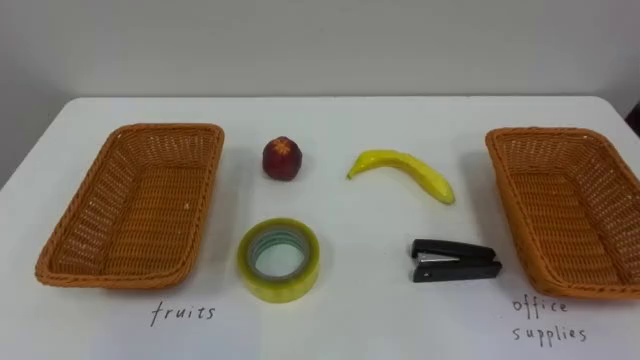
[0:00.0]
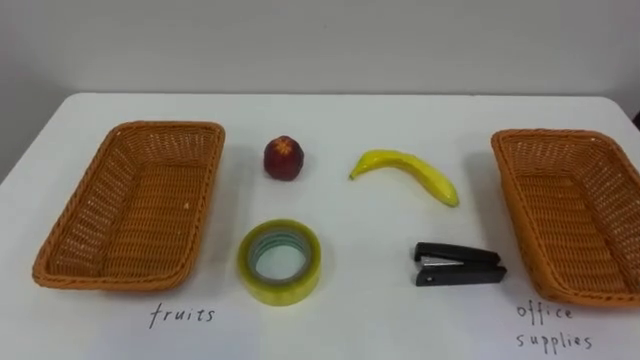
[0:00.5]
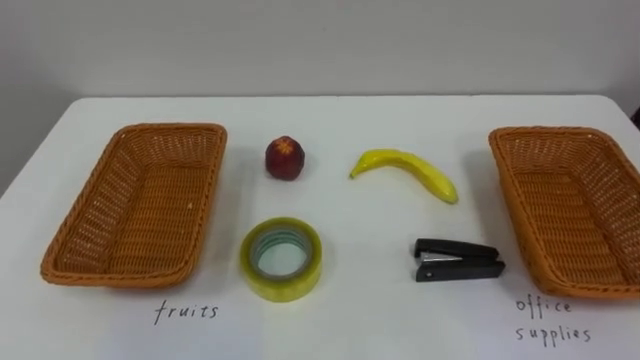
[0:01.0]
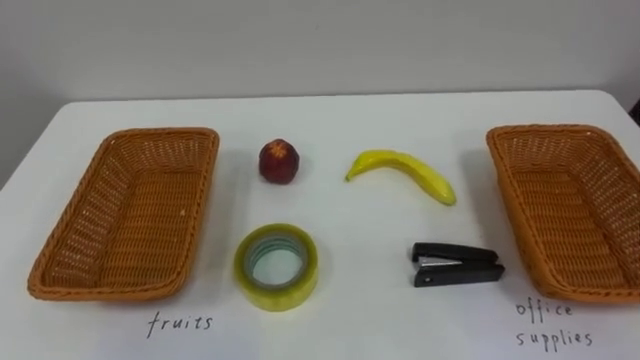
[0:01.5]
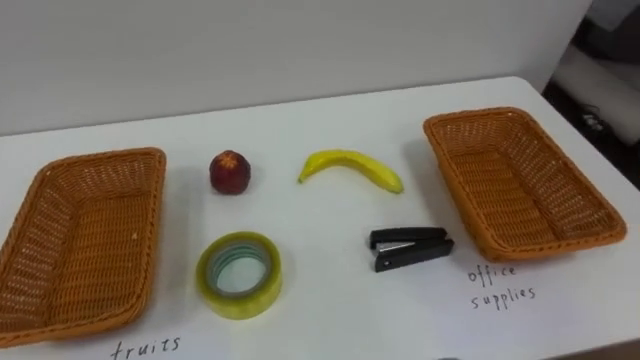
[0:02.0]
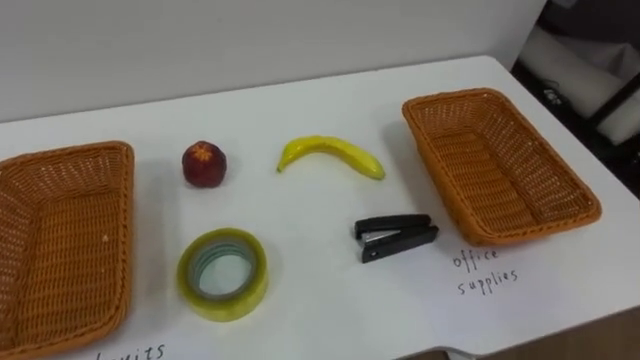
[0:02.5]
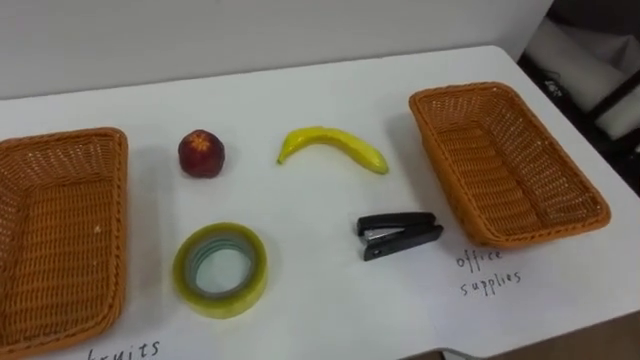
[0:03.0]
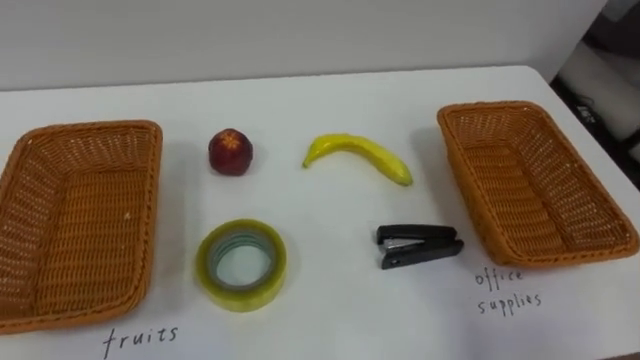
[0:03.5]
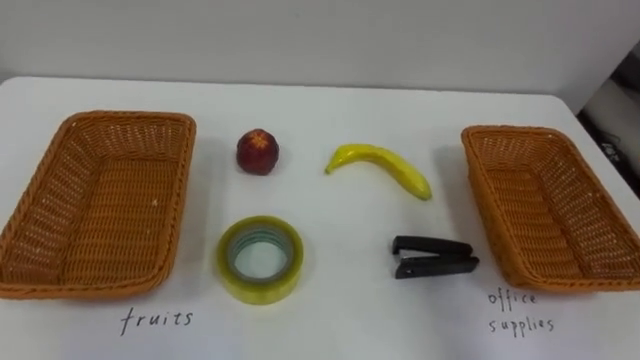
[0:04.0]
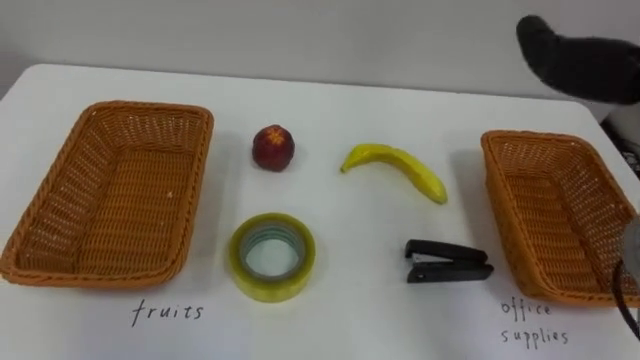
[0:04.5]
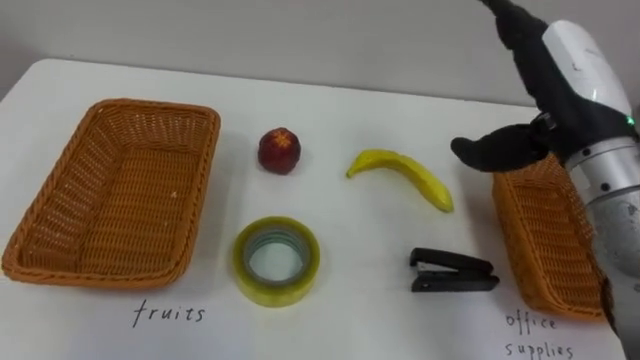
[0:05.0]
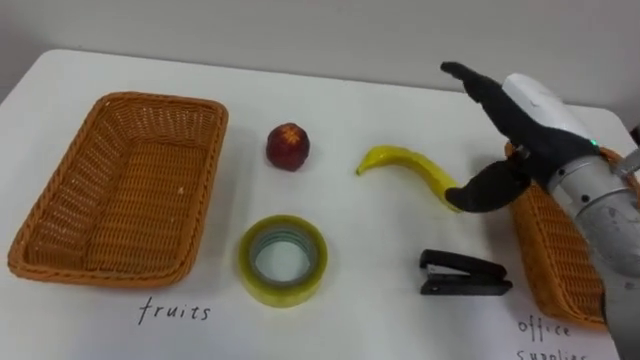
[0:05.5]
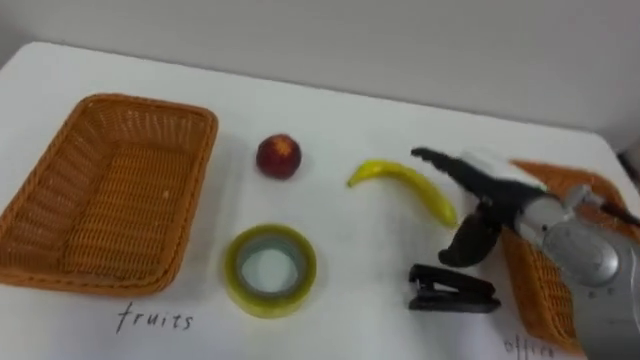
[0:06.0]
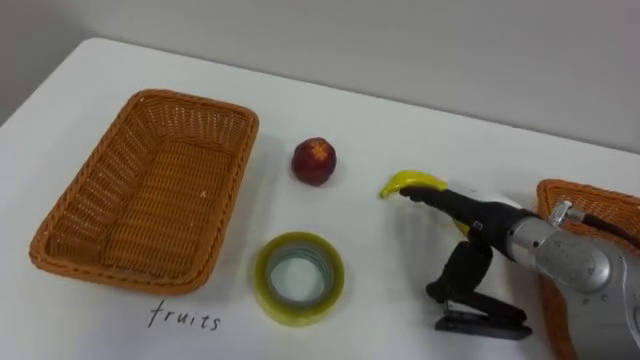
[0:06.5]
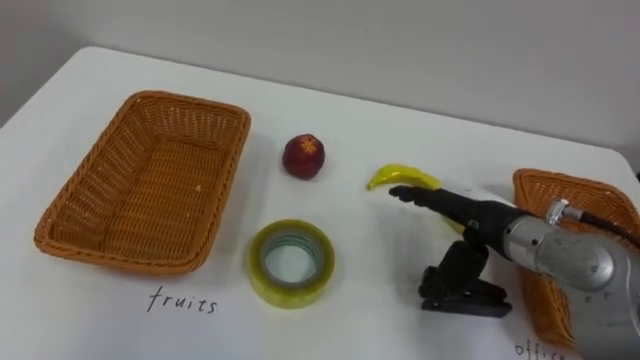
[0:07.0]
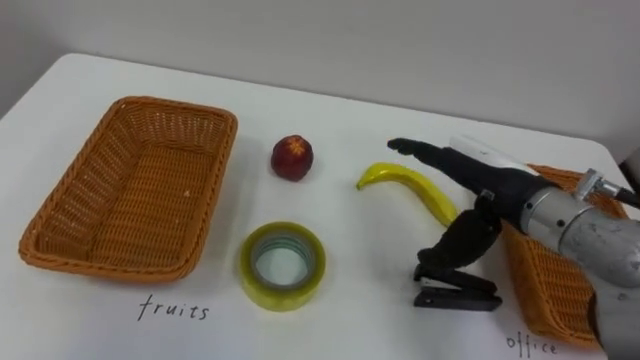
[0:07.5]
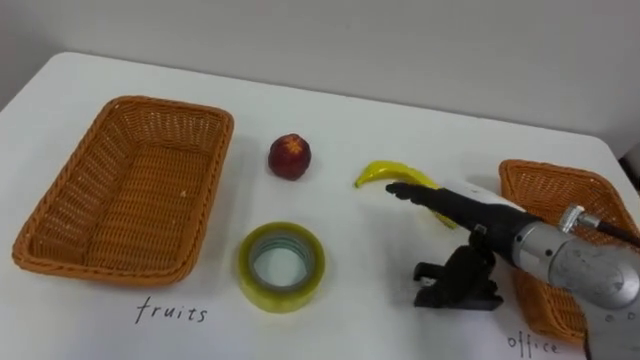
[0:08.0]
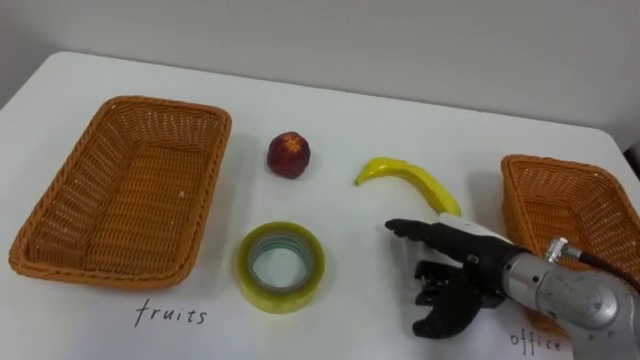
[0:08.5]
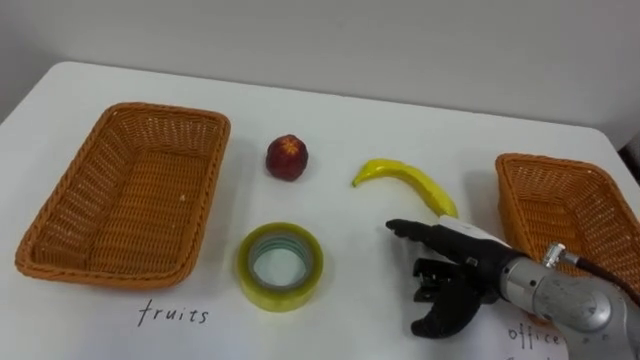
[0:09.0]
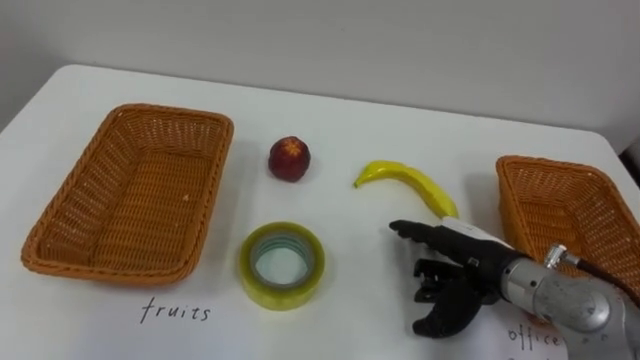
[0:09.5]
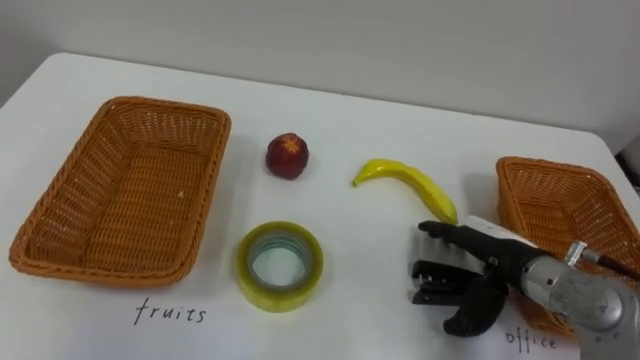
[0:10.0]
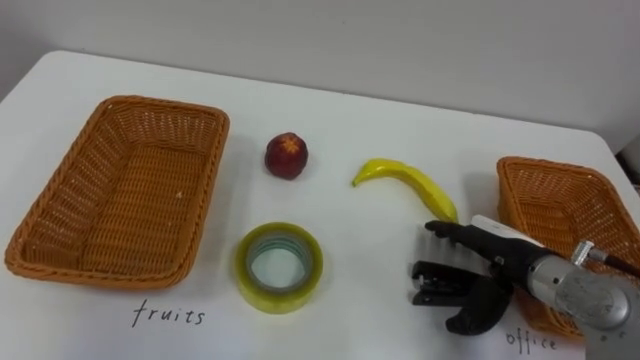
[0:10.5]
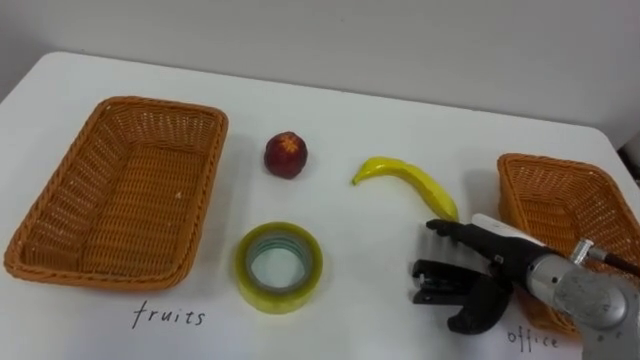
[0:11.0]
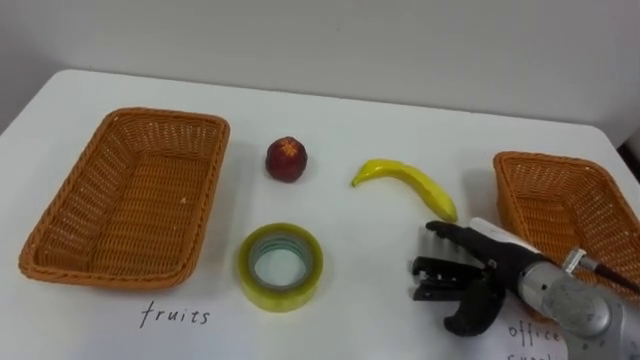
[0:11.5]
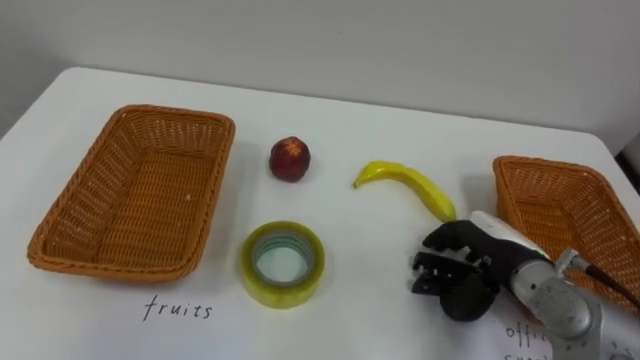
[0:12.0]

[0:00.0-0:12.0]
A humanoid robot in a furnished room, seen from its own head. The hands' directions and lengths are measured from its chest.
Task of the whole recording: Separate the items on the table and place them into the two baskets.
0:08.0 to 0:10.0: The right hand is displaced downward by some 5 cm.

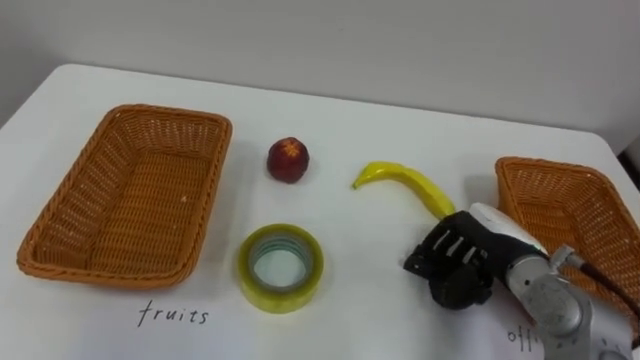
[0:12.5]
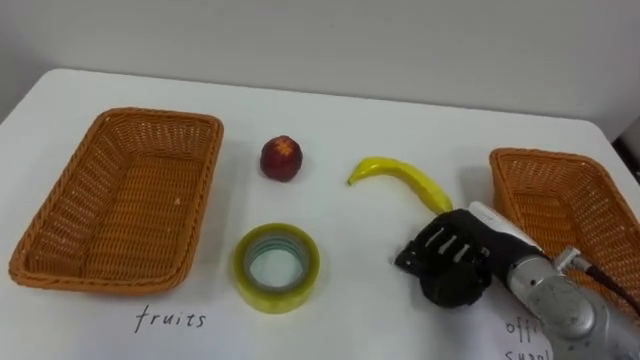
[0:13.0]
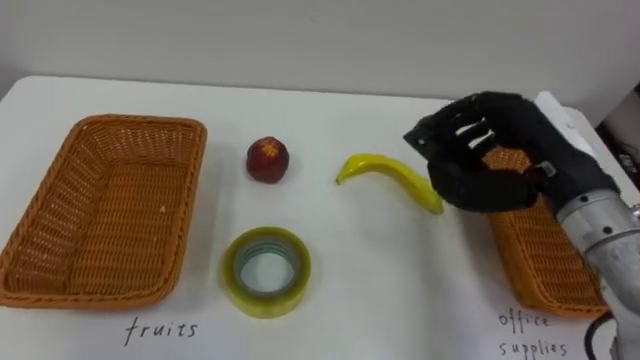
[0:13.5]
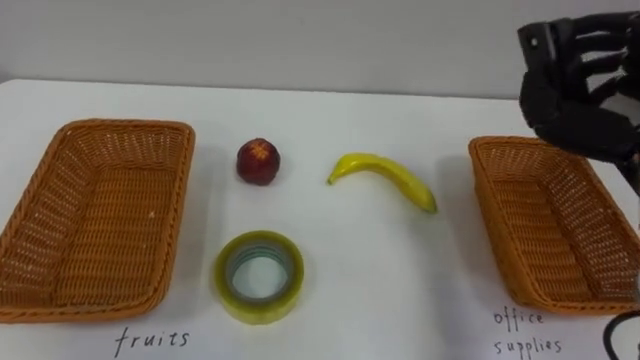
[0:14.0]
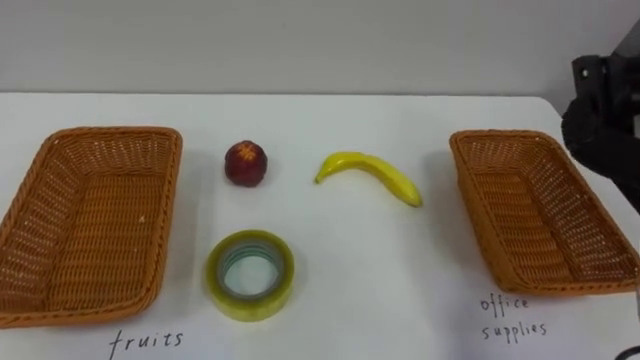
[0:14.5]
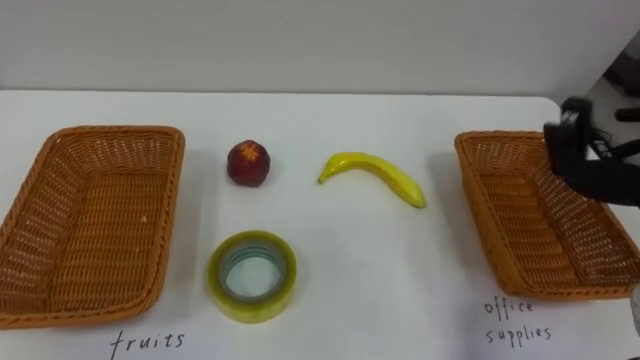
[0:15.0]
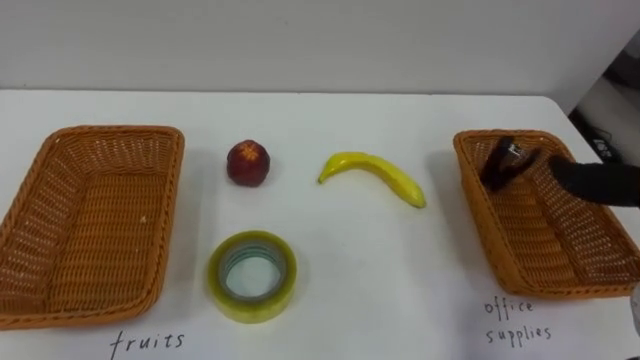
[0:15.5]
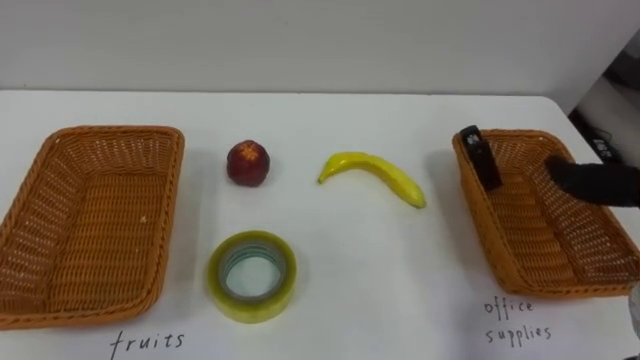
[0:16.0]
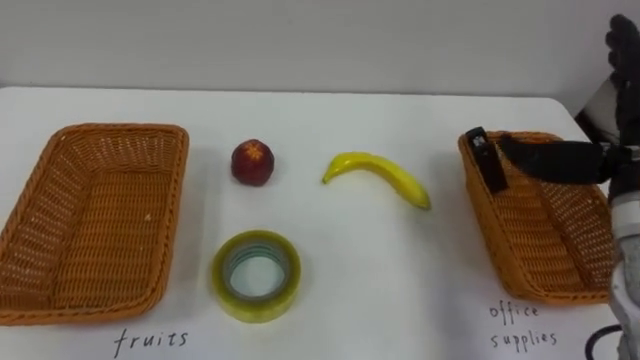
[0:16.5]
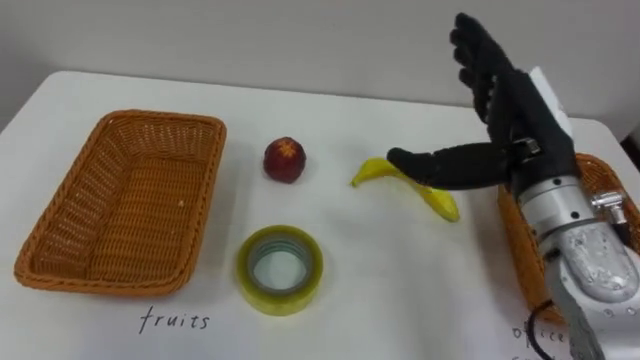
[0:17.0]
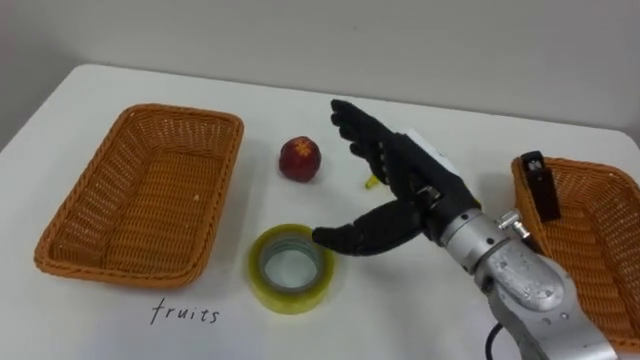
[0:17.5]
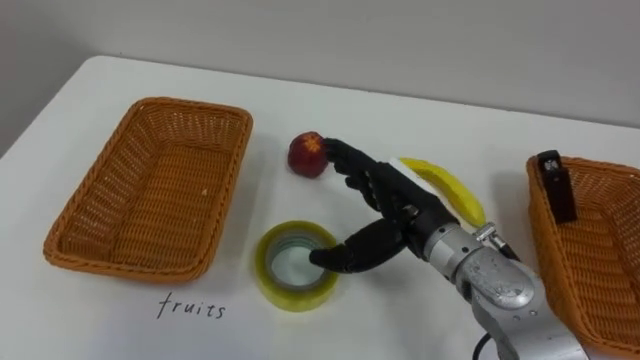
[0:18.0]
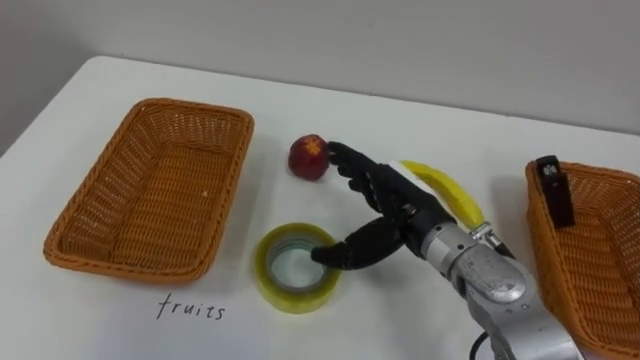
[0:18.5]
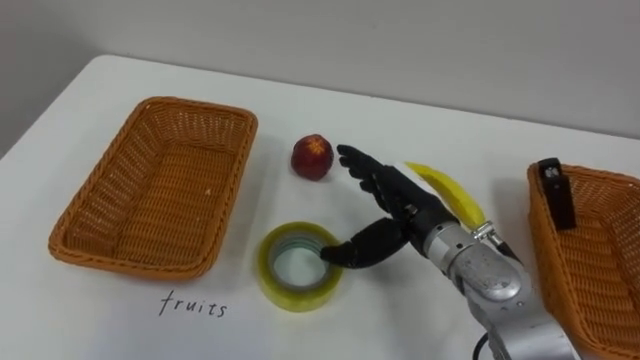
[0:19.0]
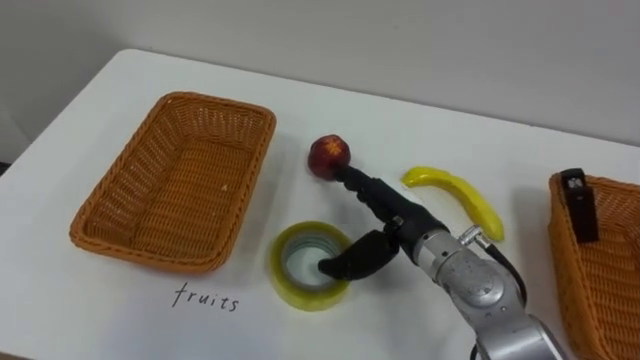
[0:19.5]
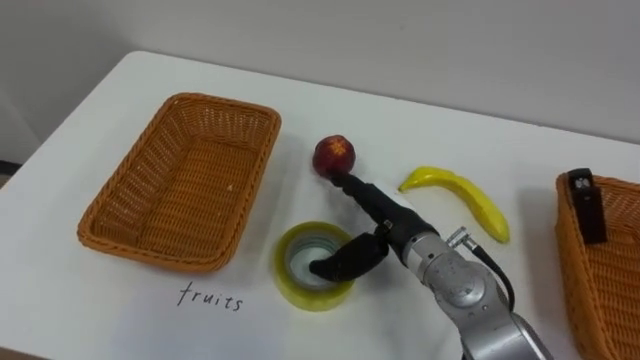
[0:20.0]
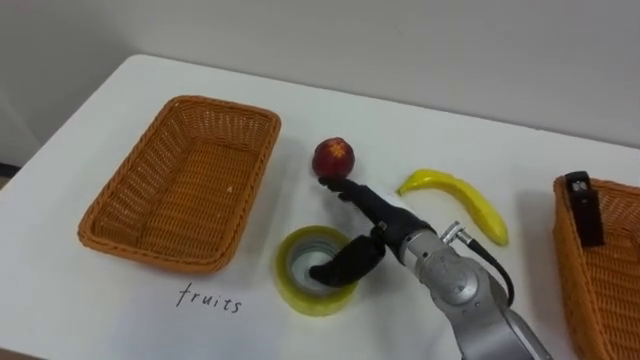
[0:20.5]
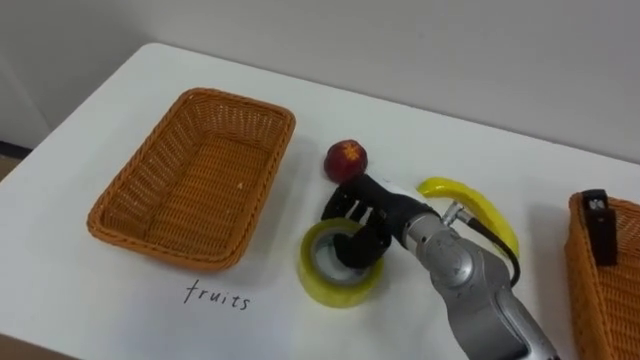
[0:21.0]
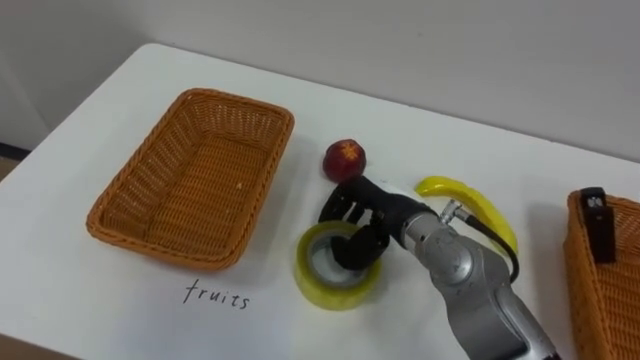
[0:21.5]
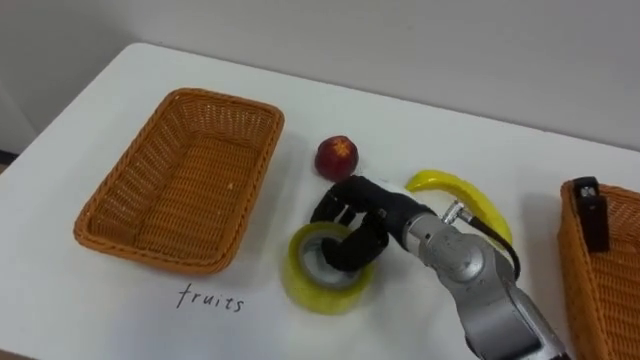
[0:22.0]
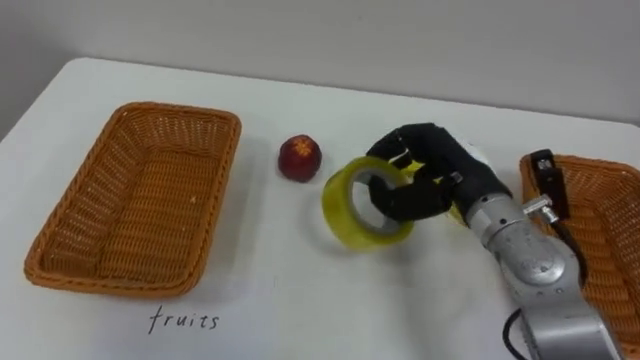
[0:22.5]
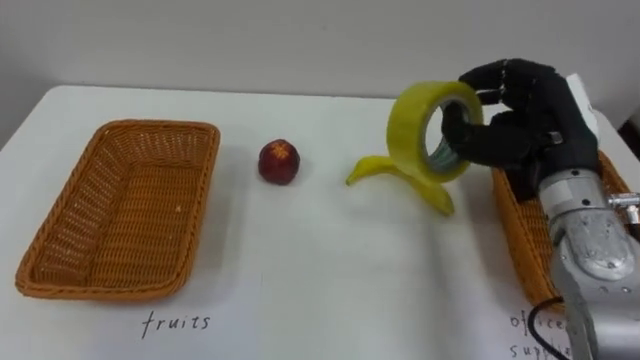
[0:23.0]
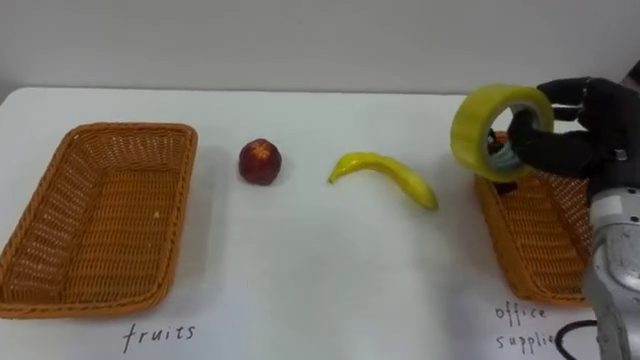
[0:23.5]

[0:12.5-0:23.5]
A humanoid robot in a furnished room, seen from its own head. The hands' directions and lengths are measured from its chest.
Task of the whole recording: Separate the items on the table and place them into the two baskets.
0:20.0 to 0:21.5: The right hand closes up.
0:21.5 to 0:23.5: The right hand travels to the right and upward by approximately 25 cm.
